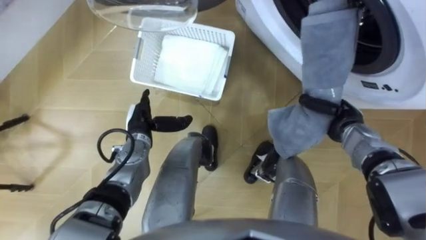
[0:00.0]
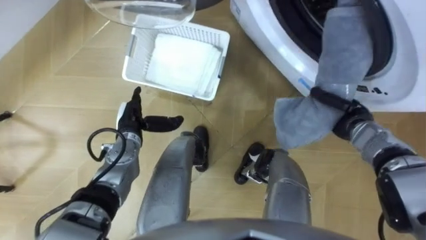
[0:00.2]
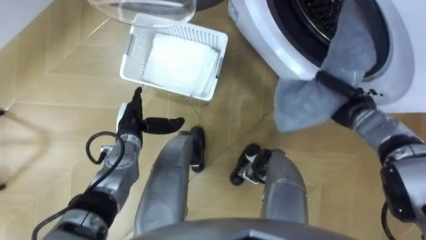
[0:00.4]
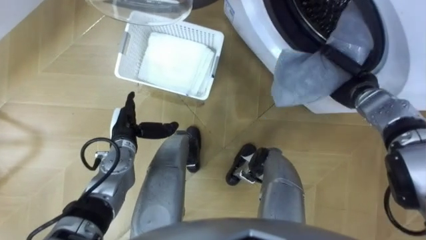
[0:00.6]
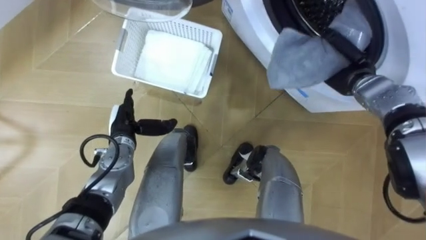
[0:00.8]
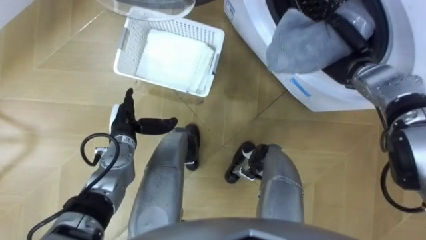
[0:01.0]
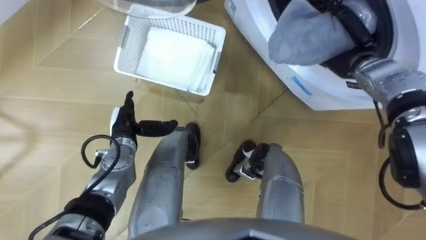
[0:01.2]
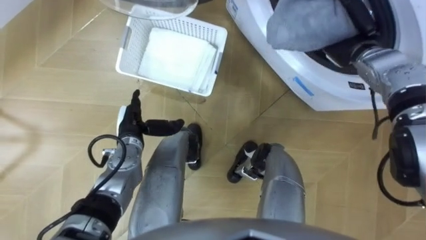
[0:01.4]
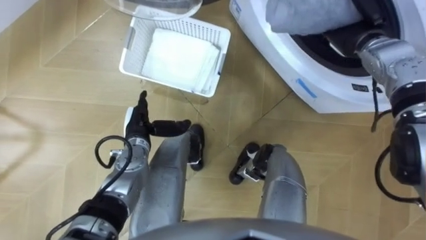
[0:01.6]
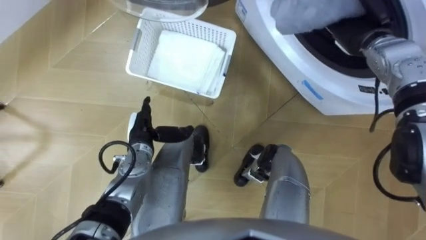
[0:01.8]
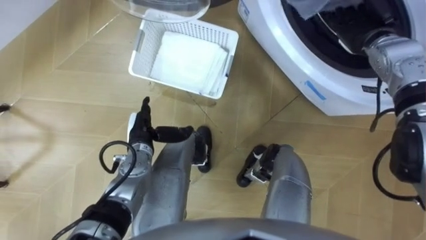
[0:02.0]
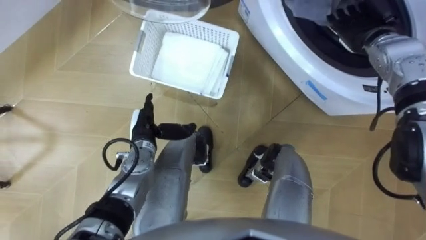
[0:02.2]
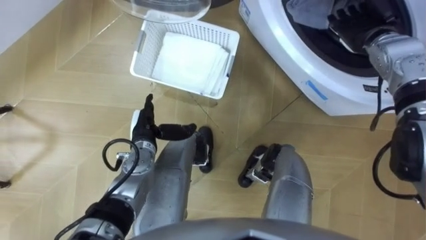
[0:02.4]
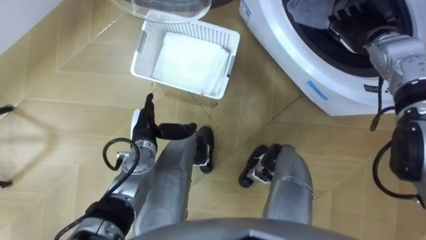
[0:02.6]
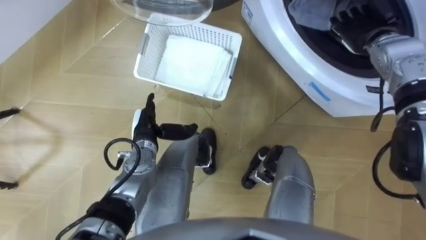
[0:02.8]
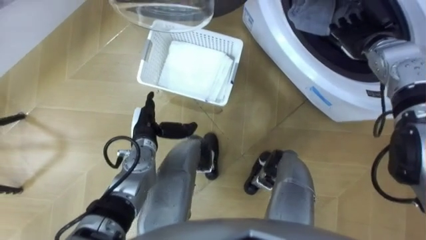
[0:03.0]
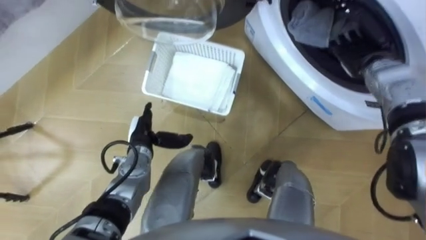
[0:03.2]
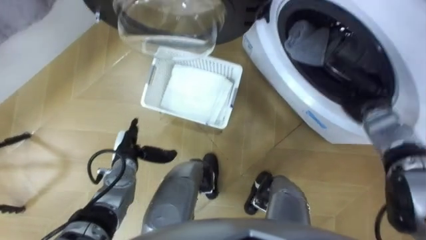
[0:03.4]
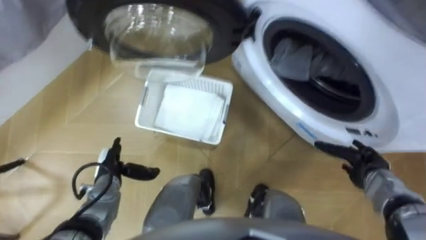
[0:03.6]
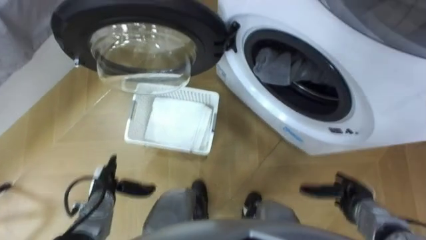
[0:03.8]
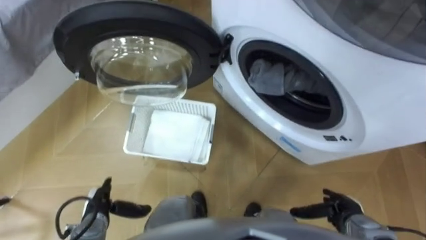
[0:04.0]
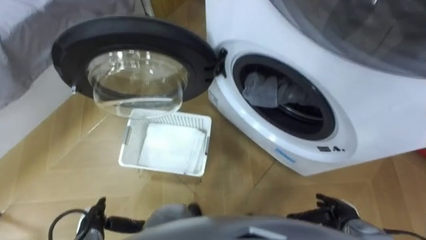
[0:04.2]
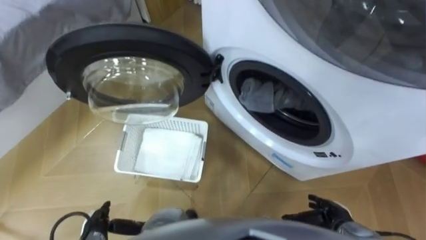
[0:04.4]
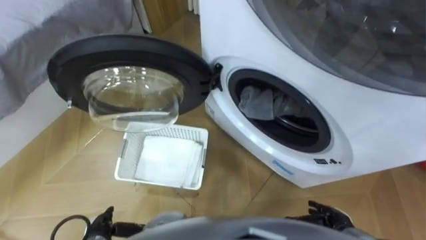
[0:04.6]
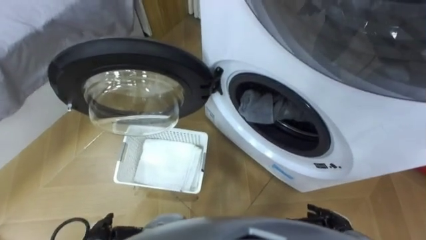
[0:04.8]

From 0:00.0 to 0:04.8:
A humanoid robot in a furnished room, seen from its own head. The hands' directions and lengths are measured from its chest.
Task of the whole recording: Take the towel from the basket and put it into the washing machine.
From 0:00.0 to 0:01.6: The right hand is displaced upward and forward by some 20 cm, and opens its fingers.
From 0:01.6 to 0:03.2: The right hand ends up approximately 5 cm from where it was.
From 0:03.2 to 0:04.8: The right hand shifts about 40 cm backward and downward.

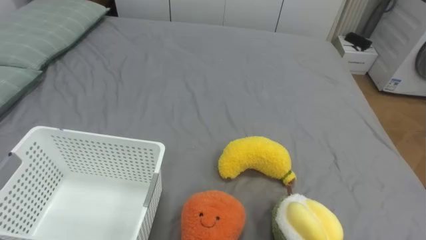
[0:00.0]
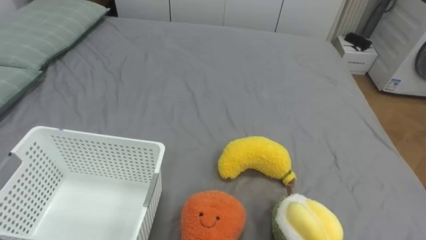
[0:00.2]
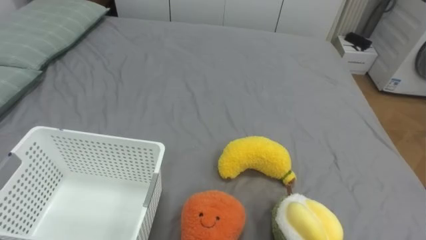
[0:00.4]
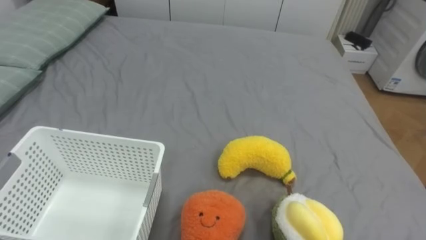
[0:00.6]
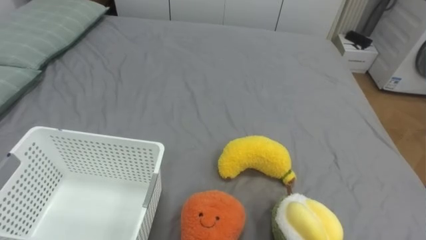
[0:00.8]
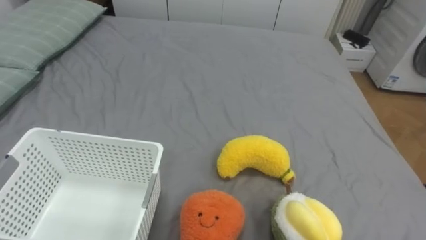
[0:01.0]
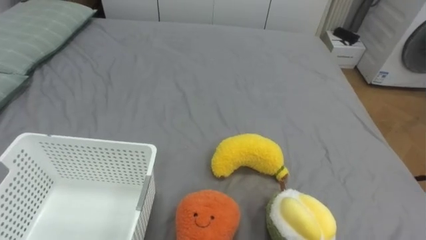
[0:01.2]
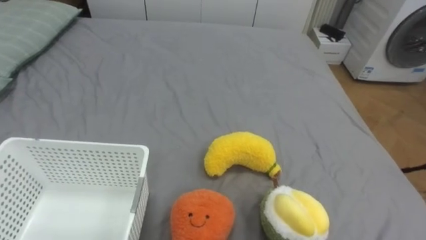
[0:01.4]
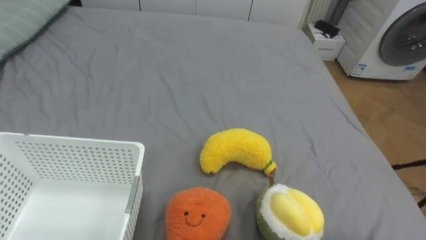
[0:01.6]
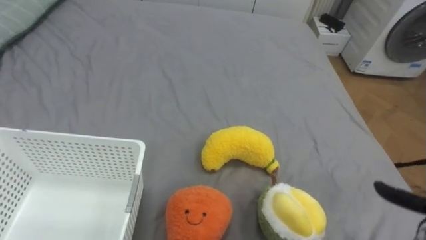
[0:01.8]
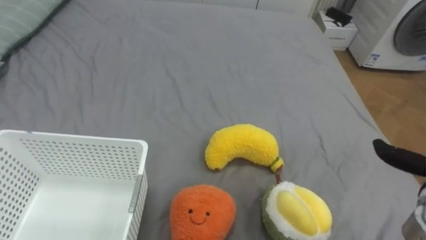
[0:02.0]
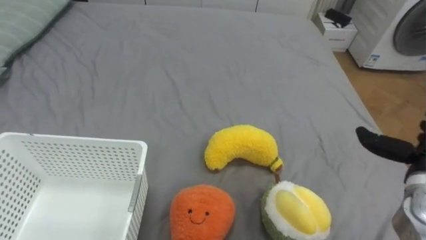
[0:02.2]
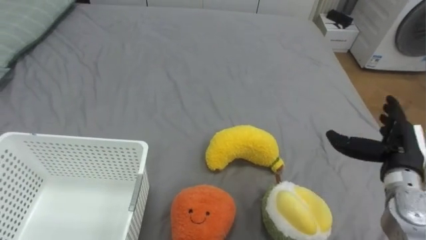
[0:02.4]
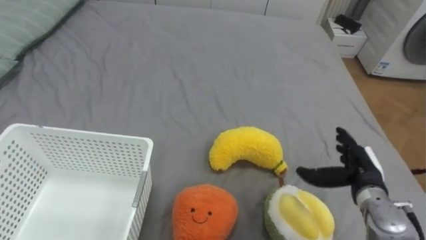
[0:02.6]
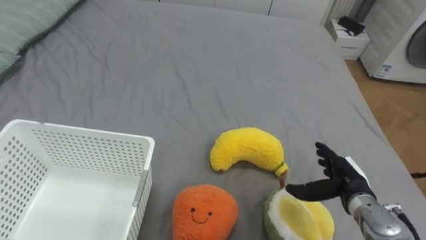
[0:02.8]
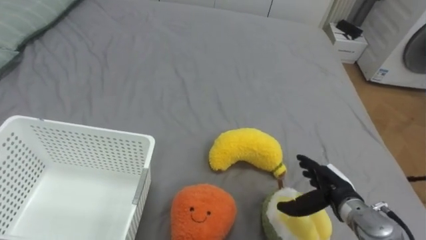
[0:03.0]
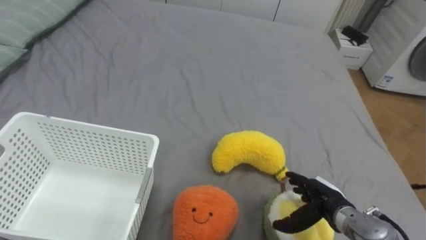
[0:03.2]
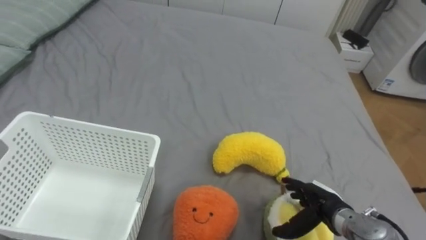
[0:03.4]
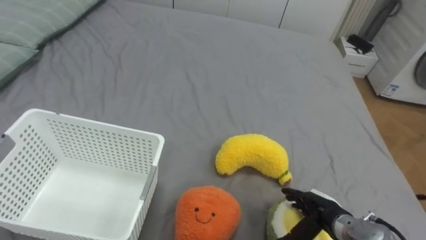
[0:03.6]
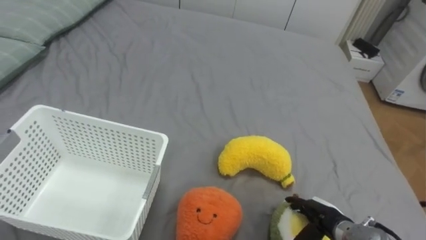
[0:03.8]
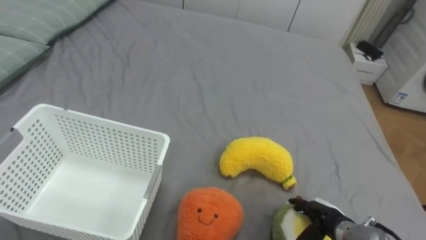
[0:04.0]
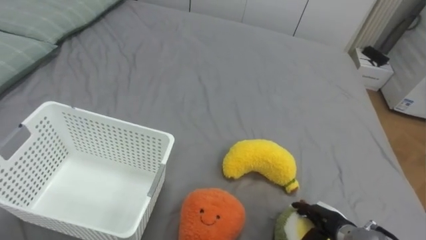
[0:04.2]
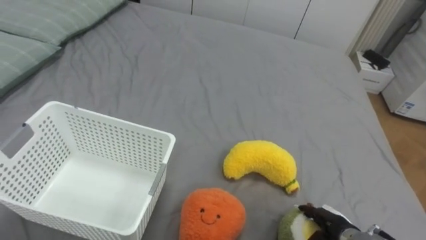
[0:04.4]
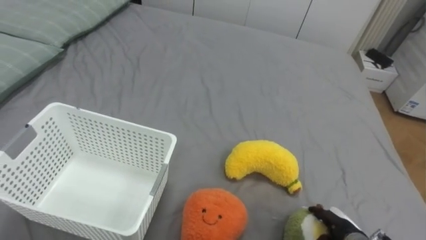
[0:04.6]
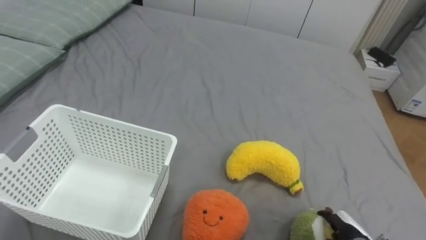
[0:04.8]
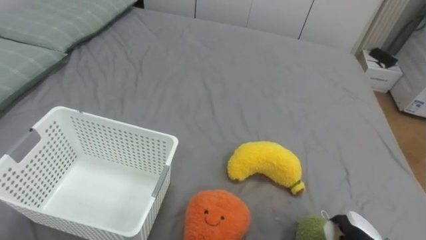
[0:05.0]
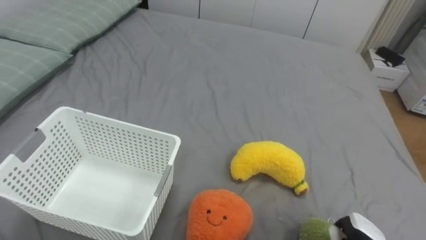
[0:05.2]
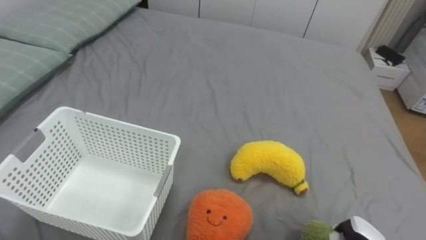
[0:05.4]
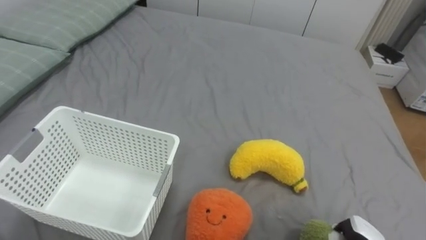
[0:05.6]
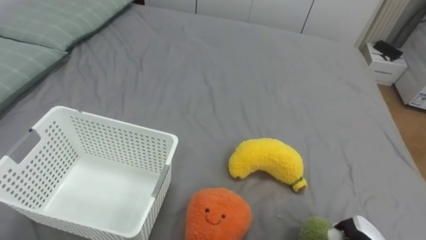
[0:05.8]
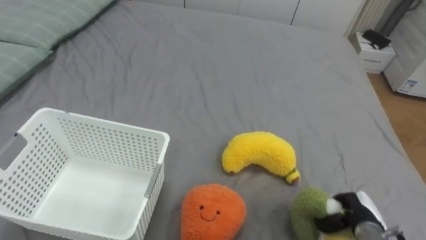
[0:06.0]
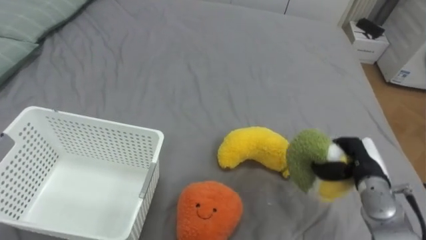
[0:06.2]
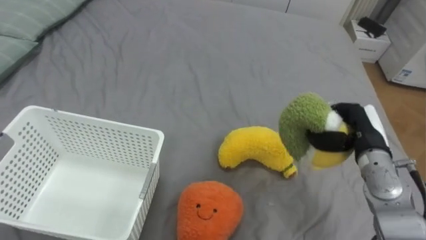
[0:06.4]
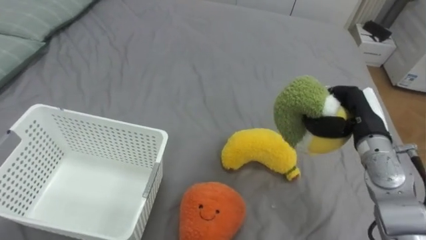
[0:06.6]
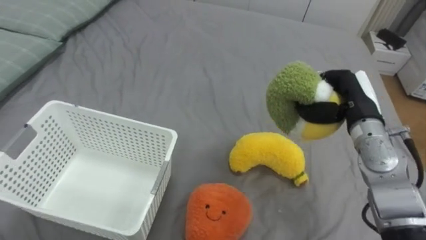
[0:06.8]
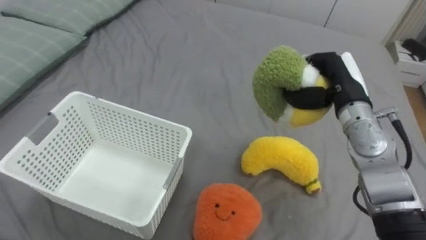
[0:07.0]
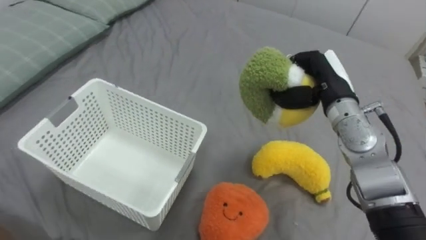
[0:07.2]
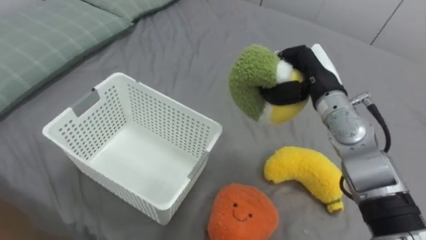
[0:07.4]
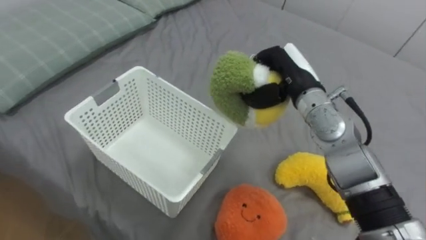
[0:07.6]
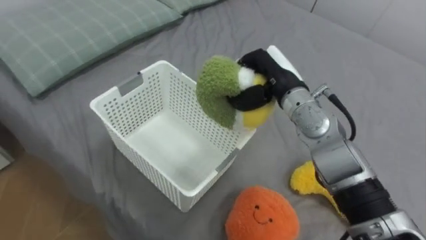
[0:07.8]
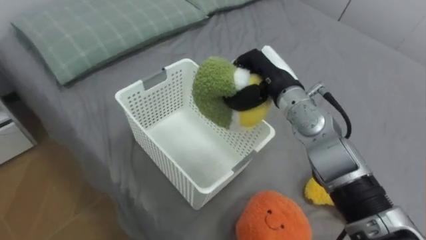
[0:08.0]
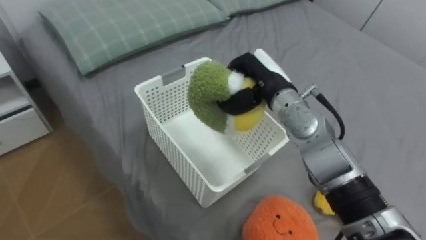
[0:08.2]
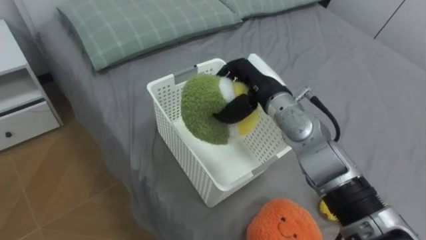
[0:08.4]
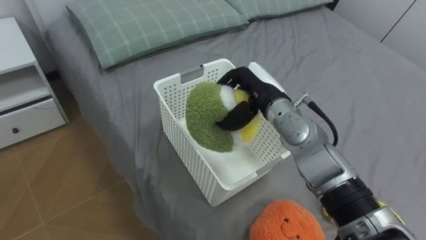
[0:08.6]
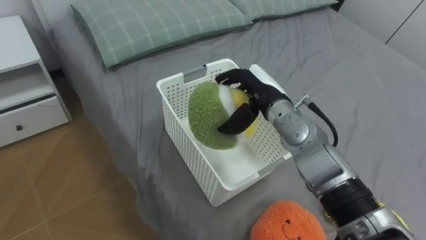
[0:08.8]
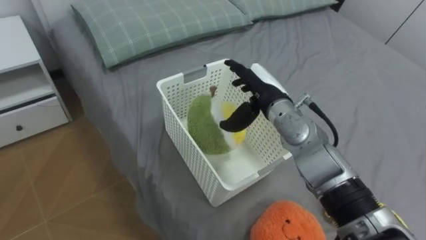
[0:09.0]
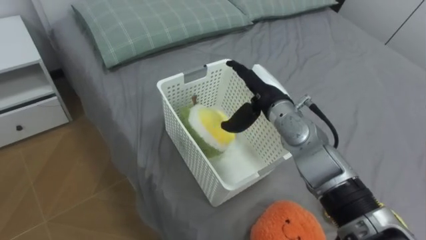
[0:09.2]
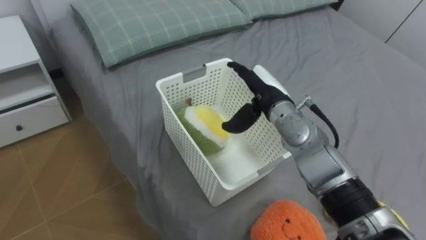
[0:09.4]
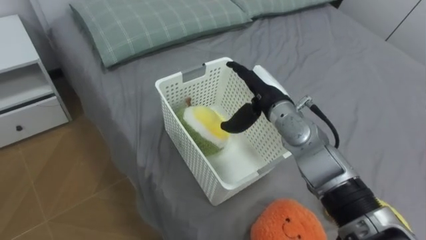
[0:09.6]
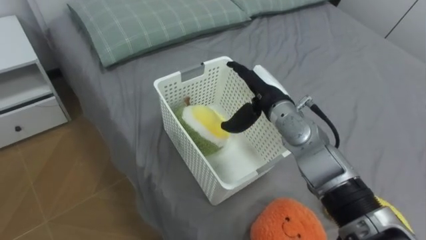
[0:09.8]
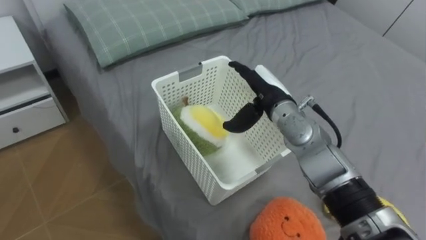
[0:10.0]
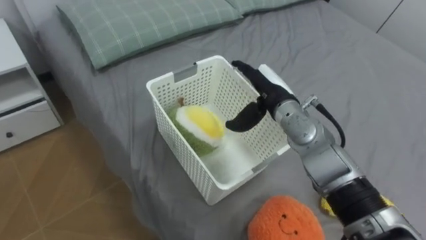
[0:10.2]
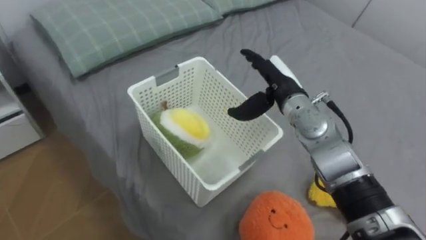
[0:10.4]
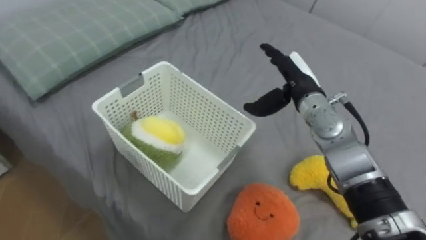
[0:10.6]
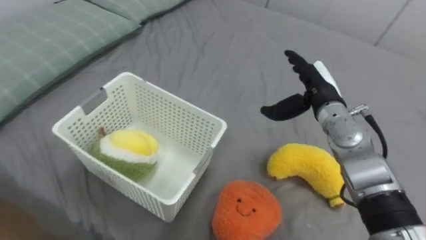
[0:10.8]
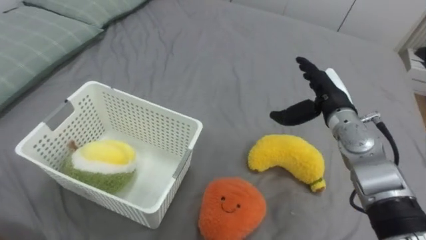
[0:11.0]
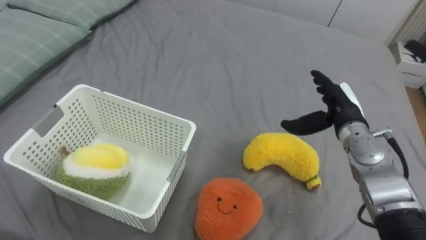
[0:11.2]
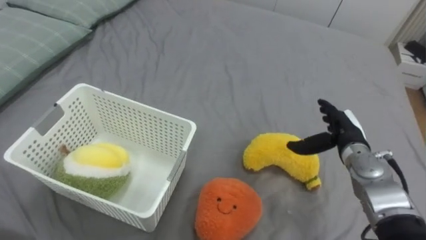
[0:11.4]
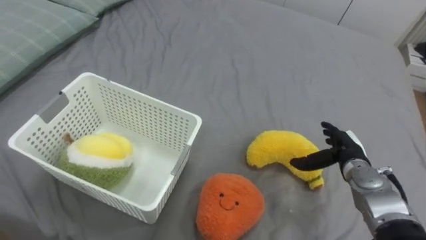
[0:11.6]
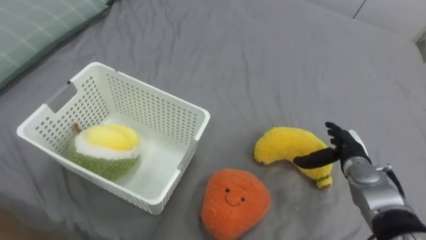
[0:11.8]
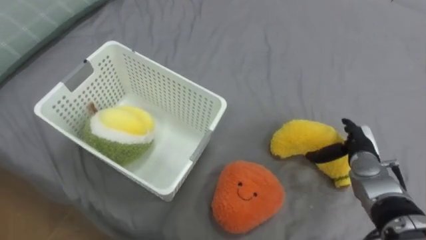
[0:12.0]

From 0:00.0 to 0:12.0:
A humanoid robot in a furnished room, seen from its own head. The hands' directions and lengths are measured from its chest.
Task of the whole recording: Put the toys on the bed into the basket on the left.
From 0:03.0 to 0:04.4: The right hand goes some 10 cm downward and backward.
From 0:06.0 to 0:07.6: The right hand is displaced upward, forward and to the left by approximately 35 cm.
From 0:07.6 to 0:09.0: The right hand moves to the left, approximately 5 cm, and opens up.
From 0:10.4 to 0:12.0: The right hand goes approximately 25 cm to the right and downward.
